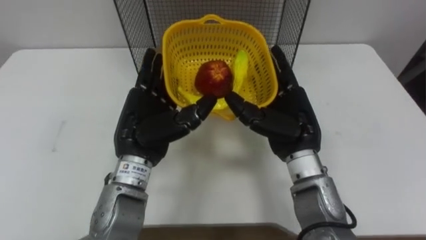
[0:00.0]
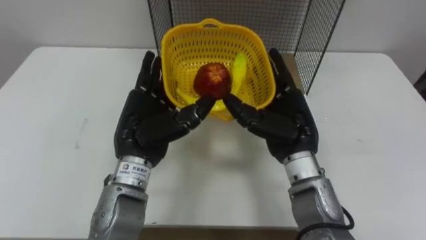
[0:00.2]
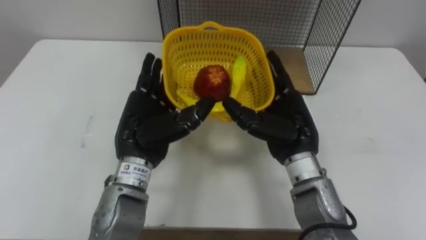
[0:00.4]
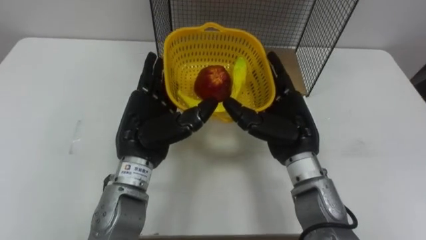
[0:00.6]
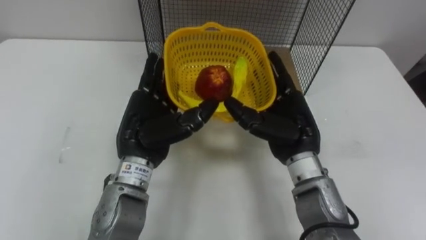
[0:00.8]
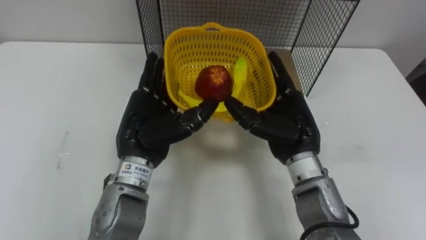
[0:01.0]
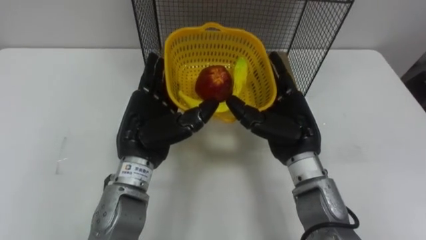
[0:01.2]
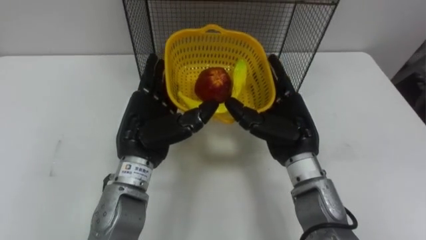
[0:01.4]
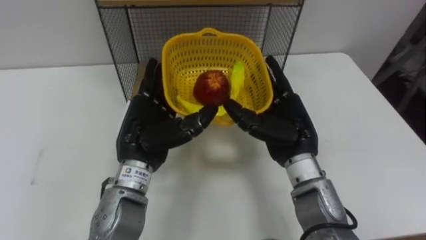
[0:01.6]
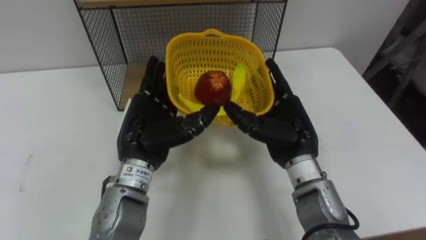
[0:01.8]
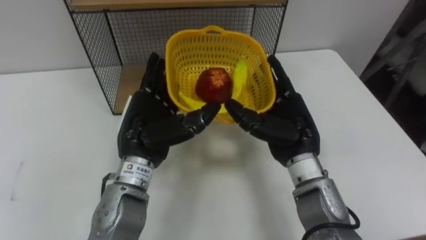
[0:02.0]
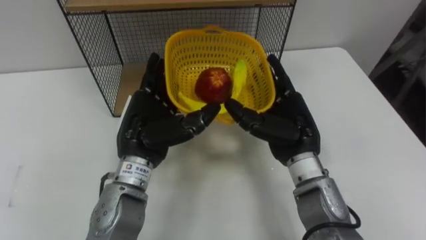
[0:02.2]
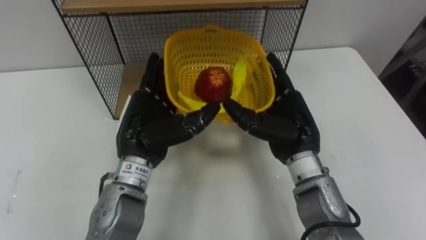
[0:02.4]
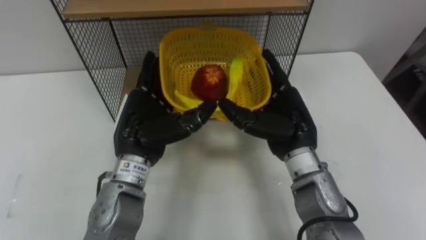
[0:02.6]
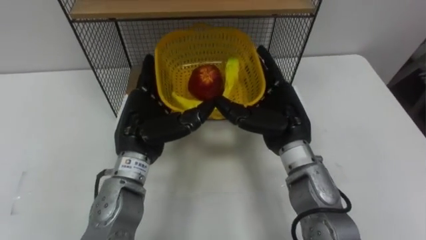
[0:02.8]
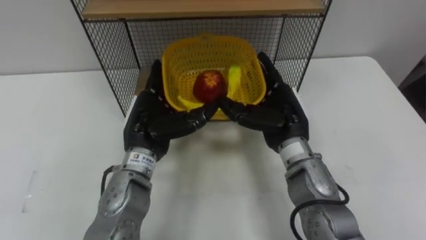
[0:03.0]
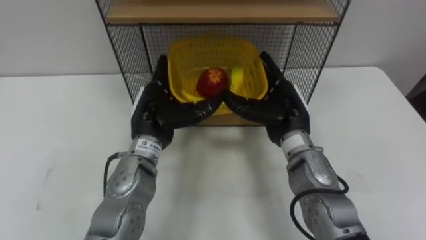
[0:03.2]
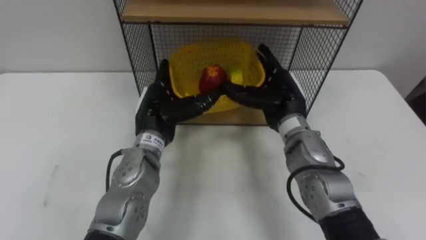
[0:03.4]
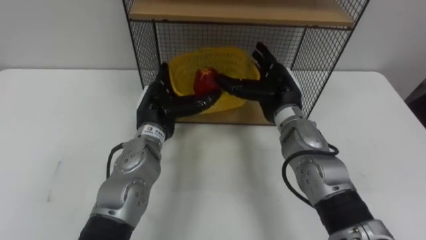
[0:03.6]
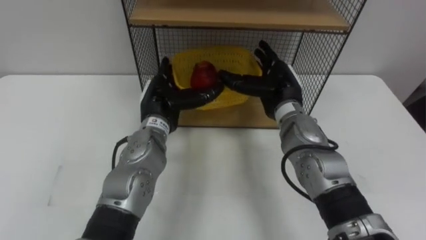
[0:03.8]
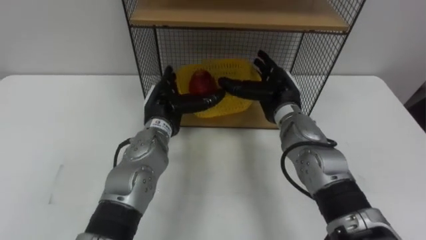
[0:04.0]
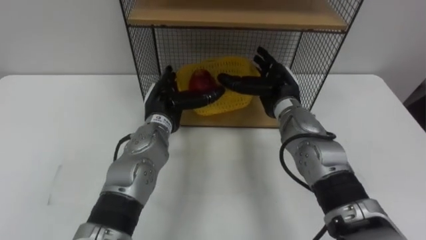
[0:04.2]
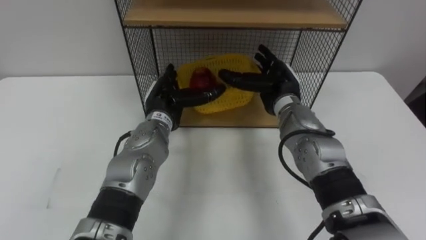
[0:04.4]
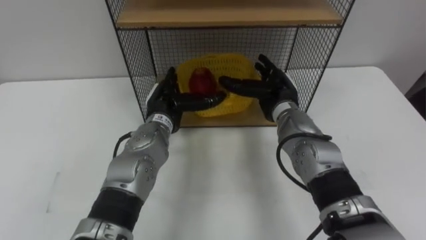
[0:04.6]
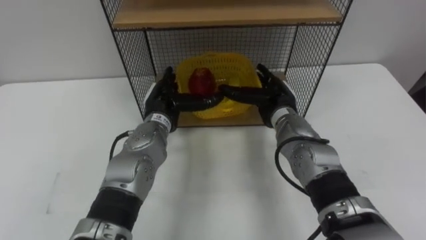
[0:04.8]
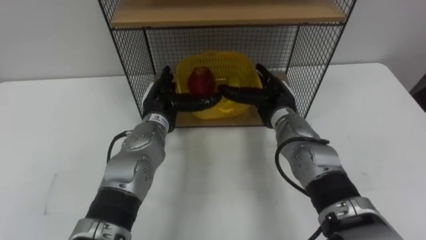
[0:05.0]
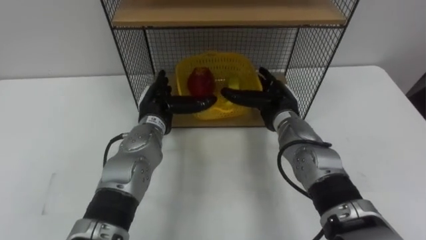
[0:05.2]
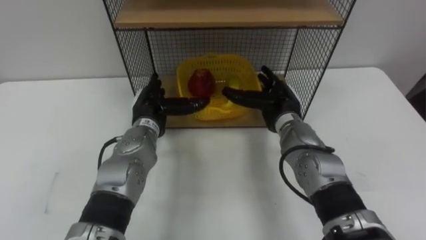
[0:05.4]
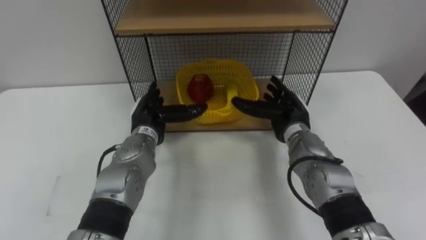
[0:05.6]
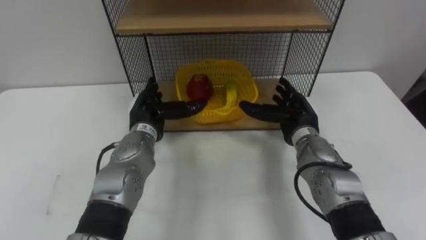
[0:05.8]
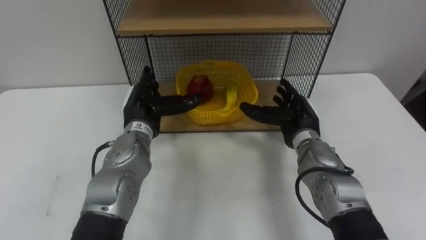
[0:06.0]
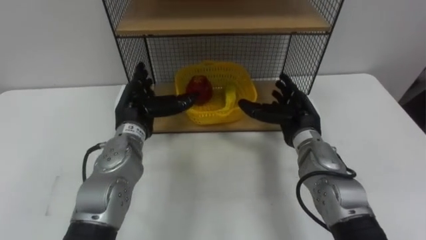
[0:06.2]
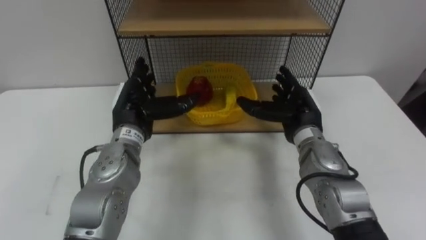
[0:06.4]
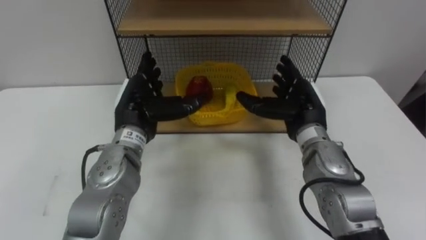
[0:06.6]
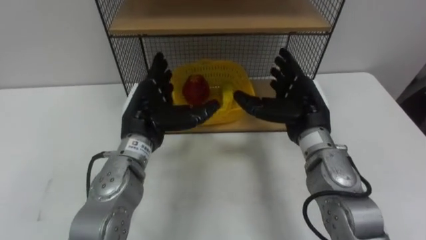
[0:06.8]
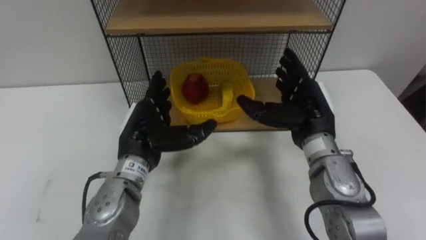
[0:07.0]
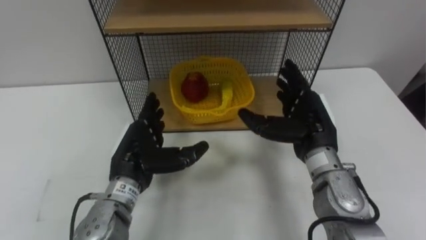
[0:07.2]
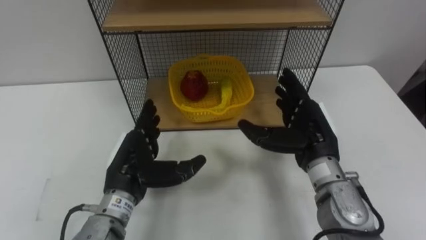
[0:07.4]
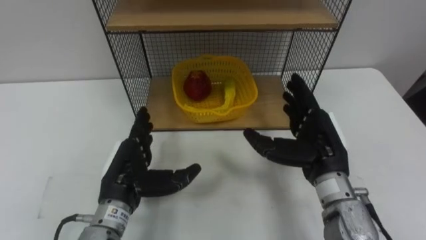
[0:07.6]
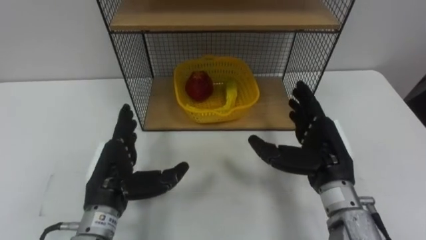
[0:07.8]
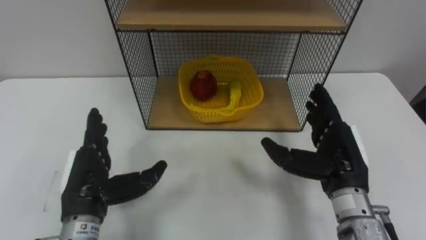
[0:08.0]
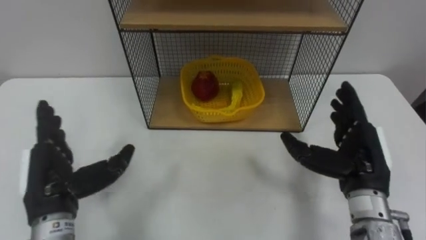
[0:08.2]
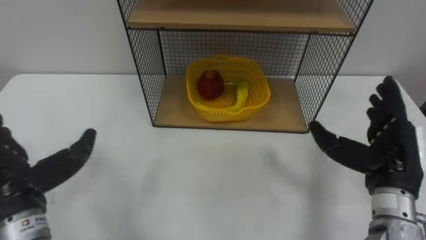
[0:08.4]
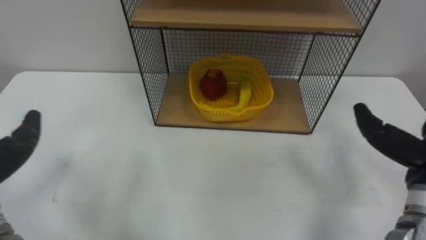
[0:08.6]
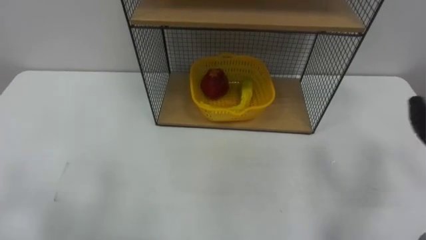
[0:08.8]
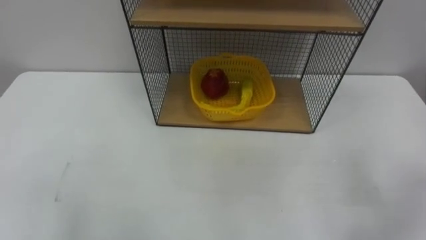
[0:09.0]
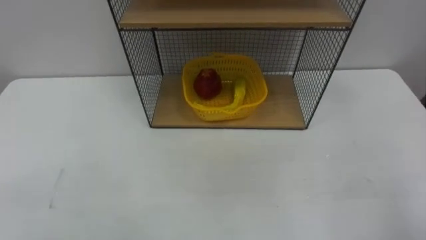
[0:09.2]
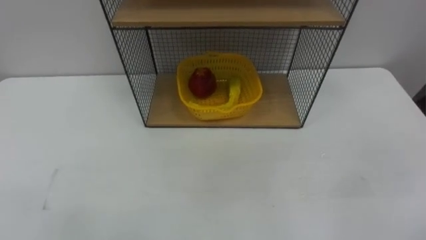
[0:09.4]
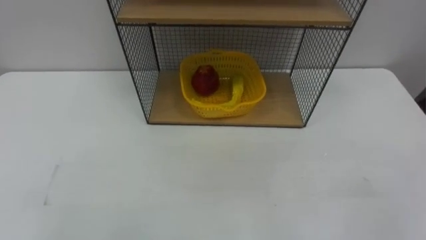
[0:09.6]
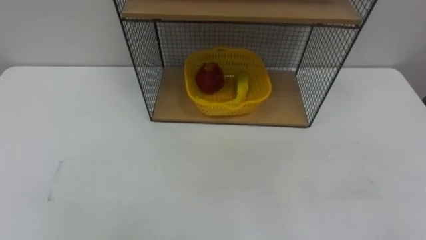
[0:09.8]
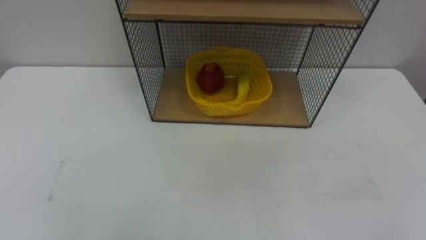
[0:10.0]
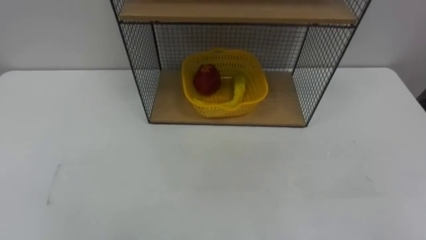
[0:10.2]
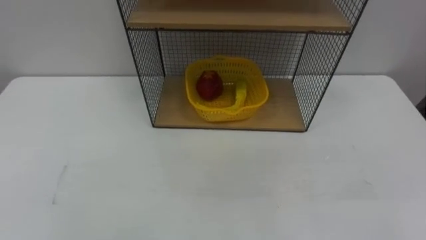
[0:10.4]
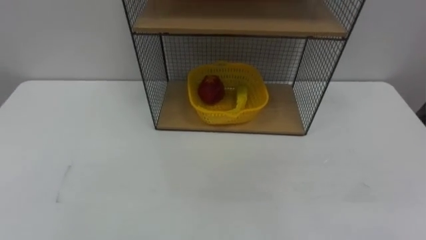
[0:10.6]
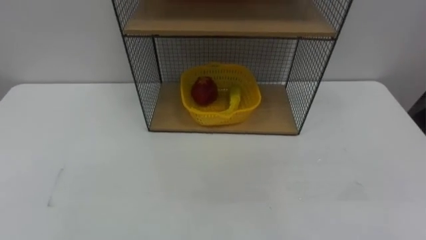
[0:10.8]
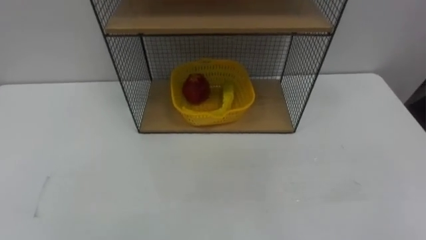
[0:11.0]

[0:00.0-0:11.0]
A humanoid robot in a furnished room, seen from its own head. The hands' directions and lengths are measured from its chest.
Task of the whole recording: Put the fruit on the table into the basket, then place the basket on the shelf.
0:03.2 to 0:04.8: The two hands go approximately 5 cm forward.
0:04.8 to 0:06.2: The right hand shifts by some 5 cm, while the left hand moves to the left, approximately 5 cm.
0:06.2 to 0:07.8: The hands both shift backward by roughly 10 cm.

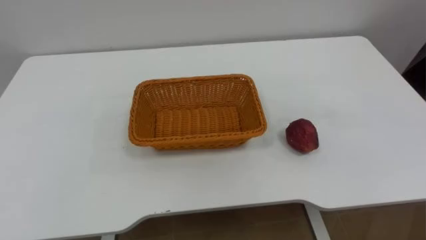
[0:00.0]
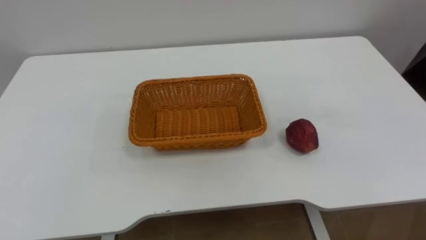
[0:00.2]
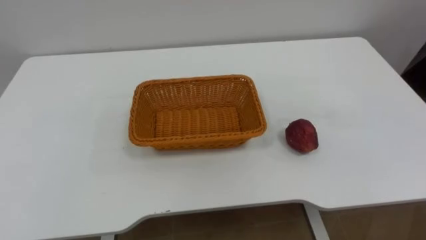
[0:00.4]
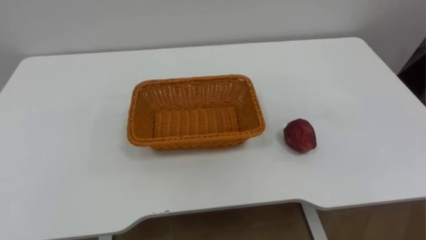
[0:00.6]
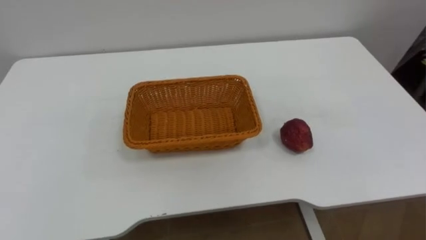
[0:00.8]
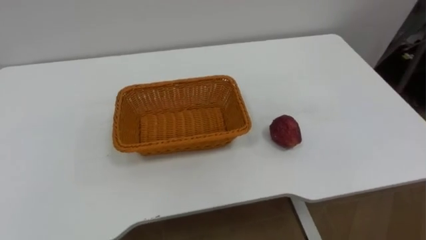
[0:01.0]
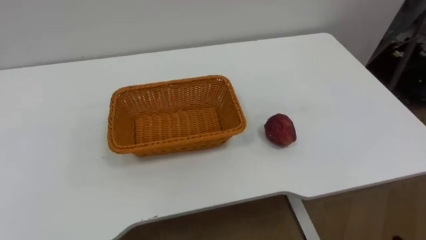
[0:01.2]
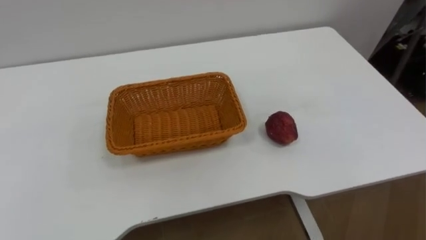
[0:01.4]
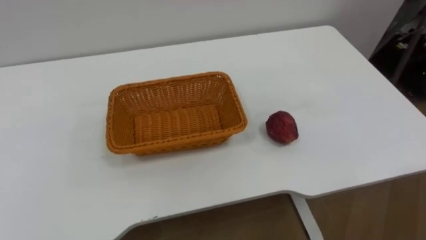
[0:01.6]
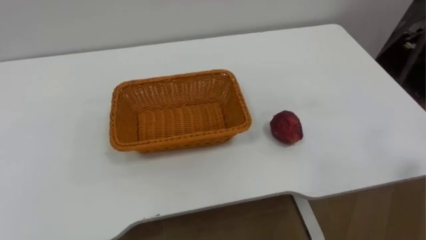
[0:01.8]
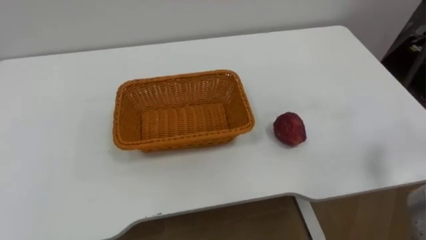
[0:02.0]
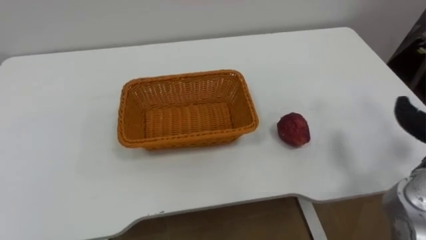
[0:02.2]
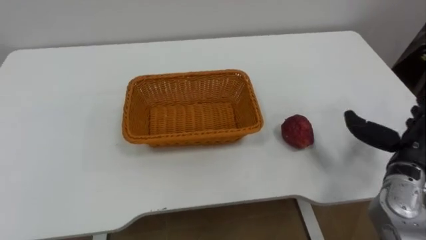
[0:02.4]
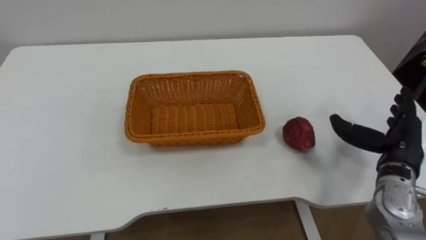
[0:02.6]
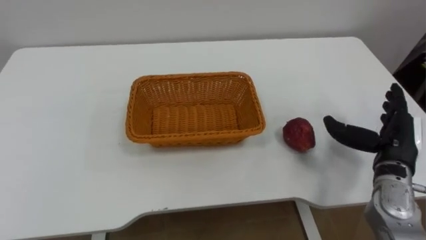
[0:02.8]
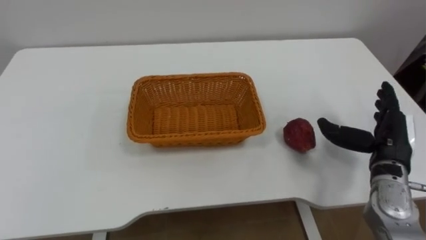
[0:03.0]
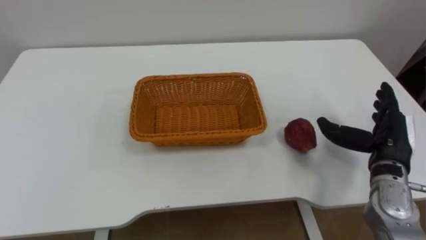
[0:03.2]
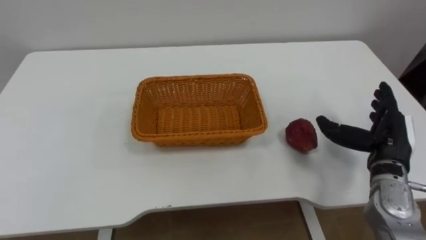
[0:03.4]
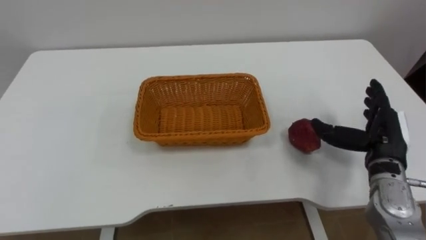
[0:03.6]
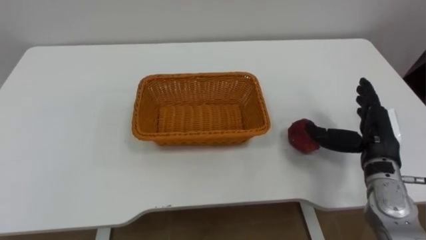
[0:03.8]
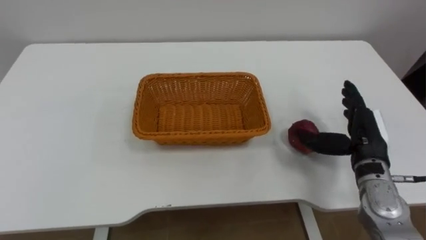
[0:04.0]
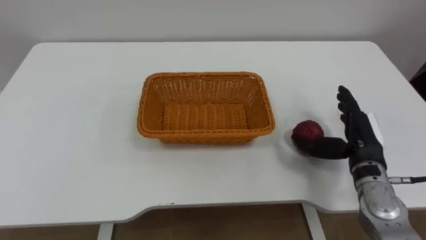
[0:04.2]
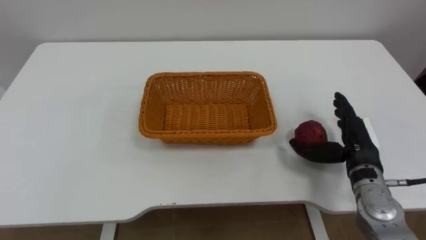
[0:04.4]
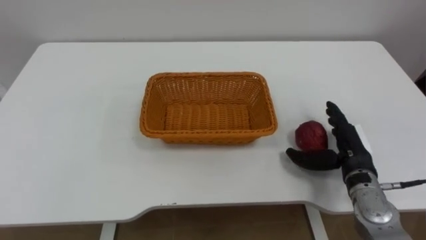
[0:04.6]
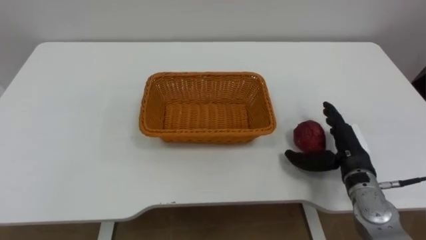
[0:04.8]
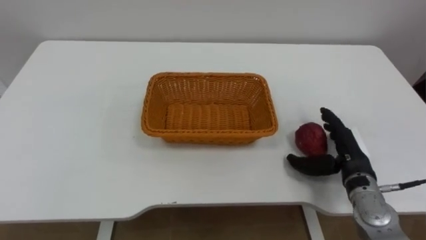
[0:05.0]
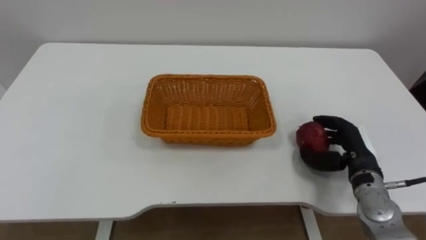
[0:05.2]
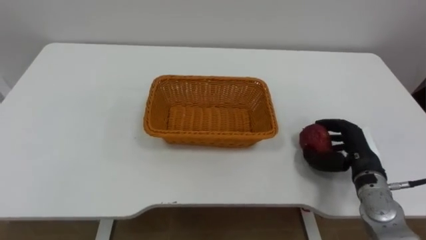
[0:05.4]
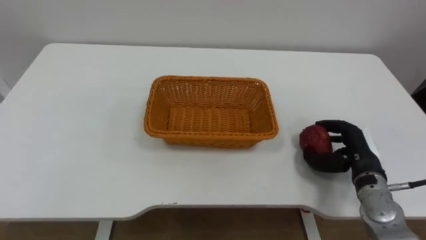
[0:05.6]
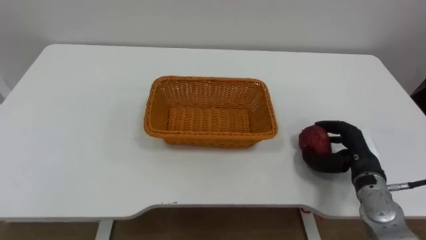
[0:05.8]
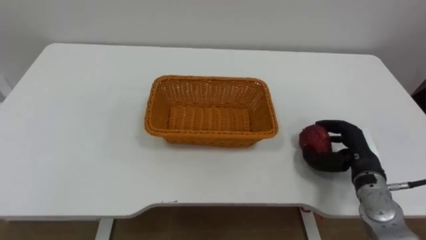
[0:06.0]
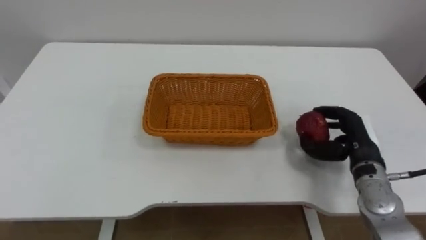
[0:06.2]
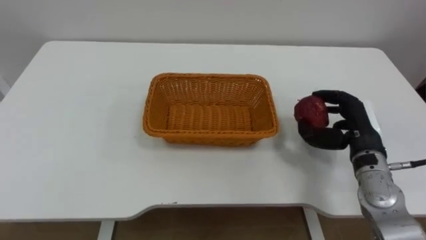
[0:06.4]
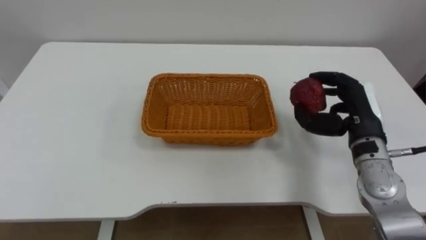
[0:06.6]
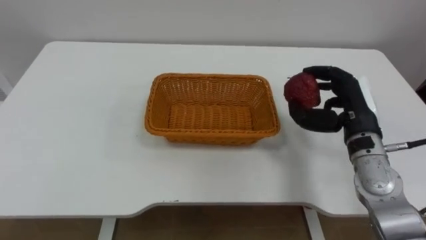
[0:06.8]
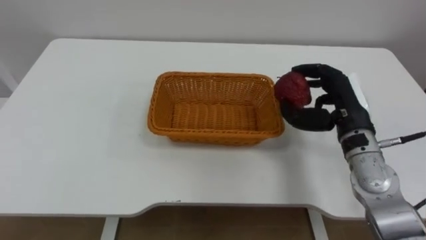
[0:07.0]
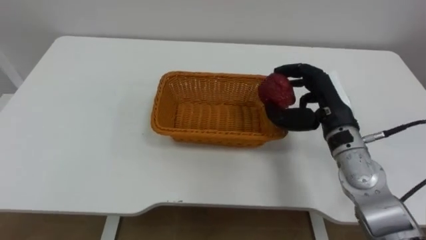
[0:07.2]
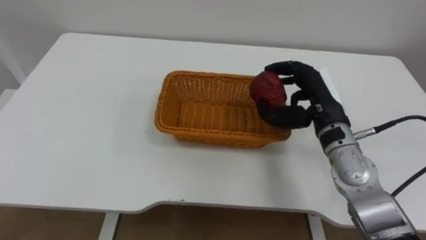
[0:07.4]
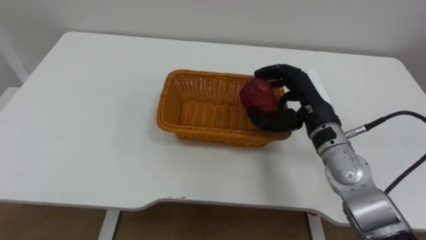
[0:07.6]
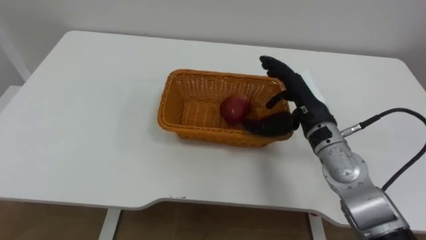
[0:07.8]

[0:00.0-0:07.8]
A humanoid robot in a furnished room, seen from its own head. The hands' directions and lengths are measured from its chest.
Task of the whole recording: Pick the apple and place it in the box.
0:03.2 to 0:04.6: The right hand moves roughly 5 cm.
0:04.6 to 0:06.2: The right hand closes.
0:06.2 to 0:07.8: The right hand travels to the left and upward by some 15 cm, and opens its fingers.
